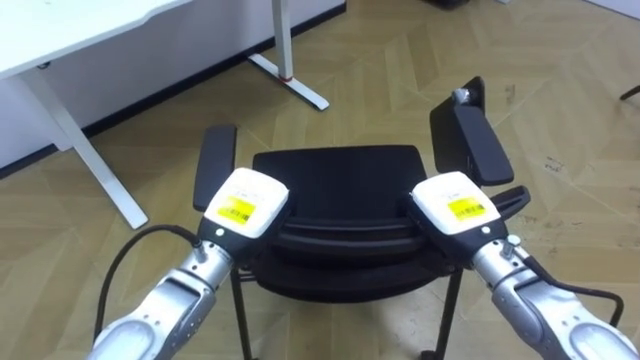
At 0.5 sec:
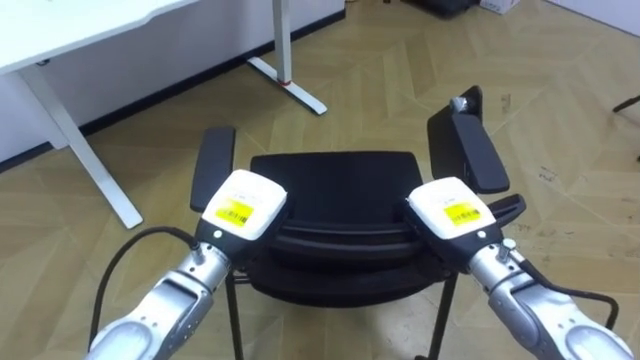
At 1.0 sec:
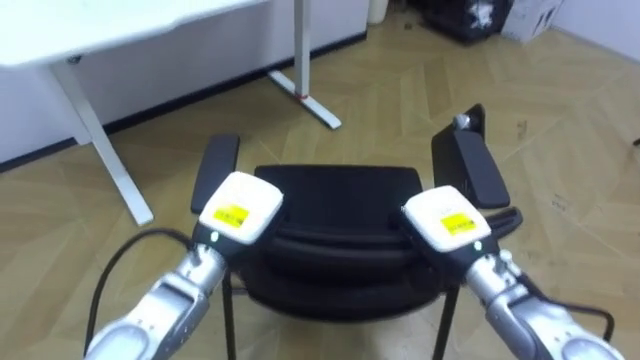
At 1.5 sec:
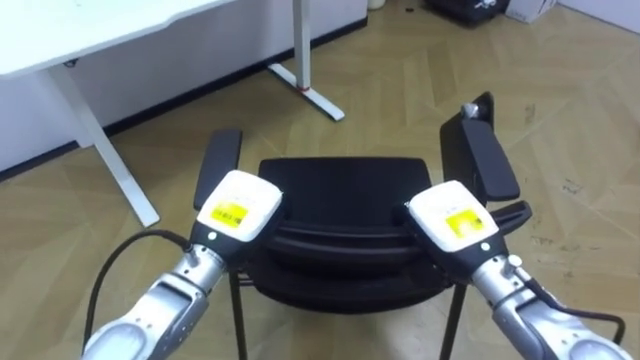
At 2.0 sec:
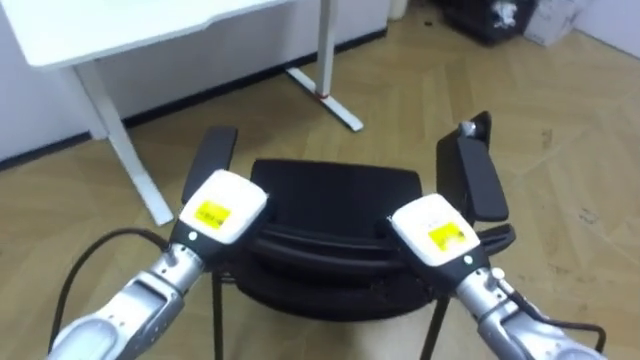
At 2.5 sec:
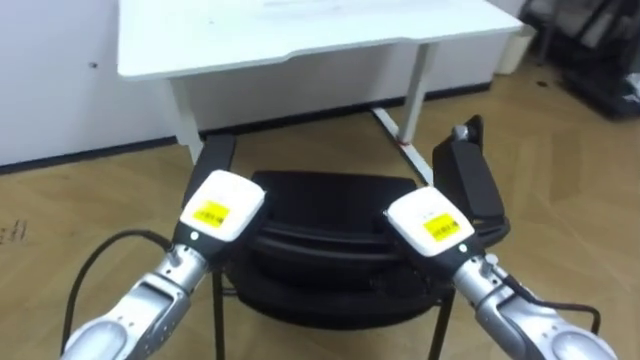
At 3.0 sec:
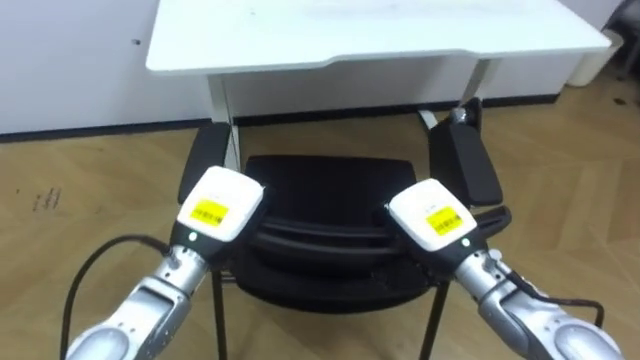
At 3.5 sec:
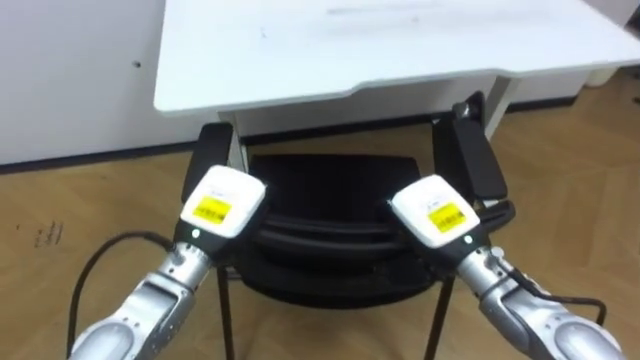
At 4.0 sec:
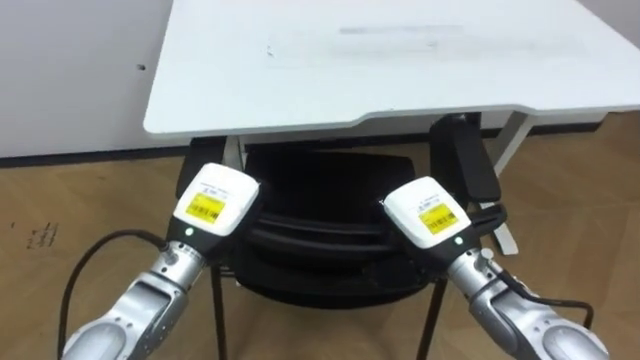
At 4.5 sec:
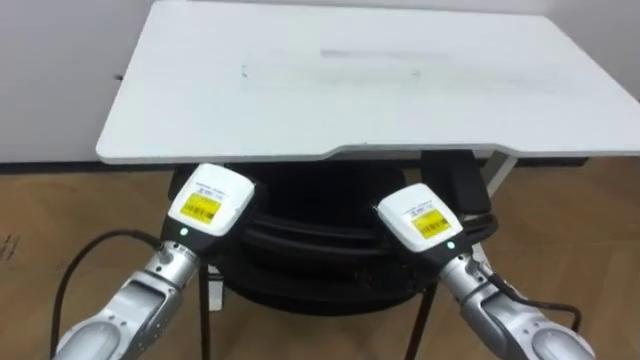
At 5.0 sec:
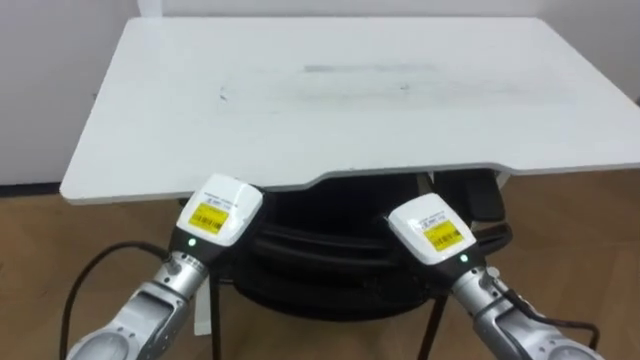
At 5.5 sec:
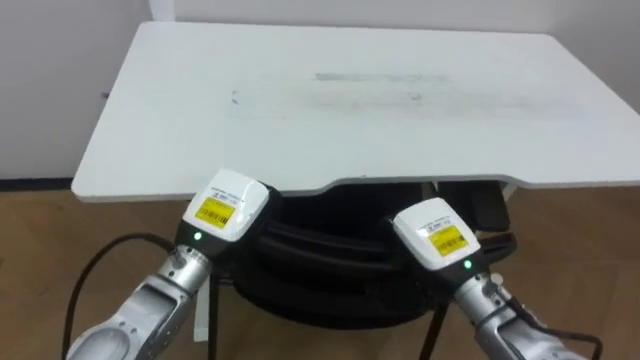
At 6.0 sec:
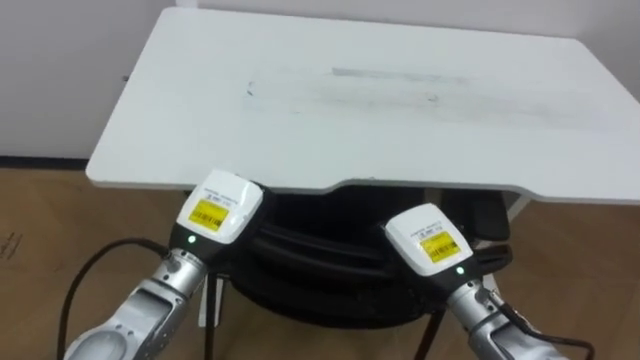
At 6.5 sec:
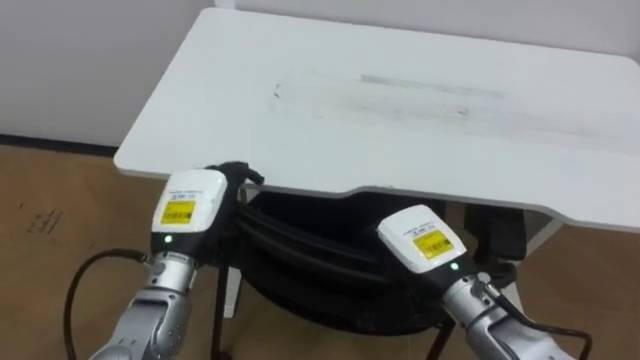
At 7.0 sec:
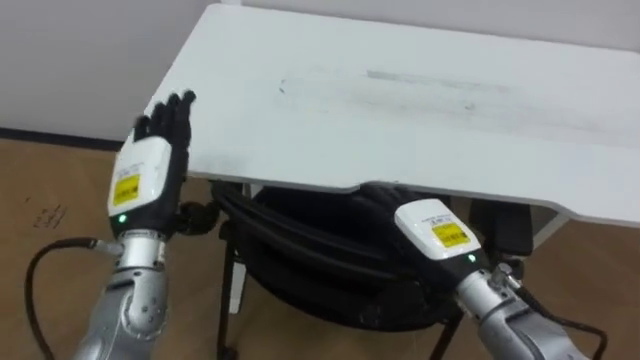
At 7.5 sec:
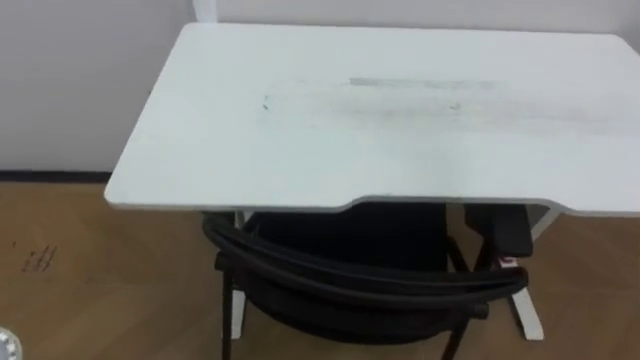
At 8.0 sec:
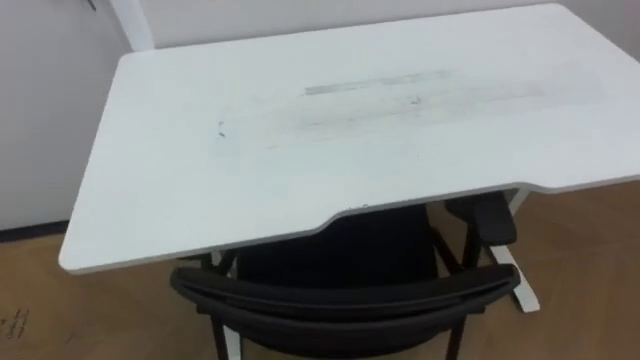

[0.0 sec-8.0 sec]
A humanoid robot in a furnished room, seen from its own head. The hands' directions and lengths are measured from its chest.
Task of the whole recording: Push the chair under the table.
2.0 sec to 4.0 sec: The robot turns to its left by roughly 20 degrees.

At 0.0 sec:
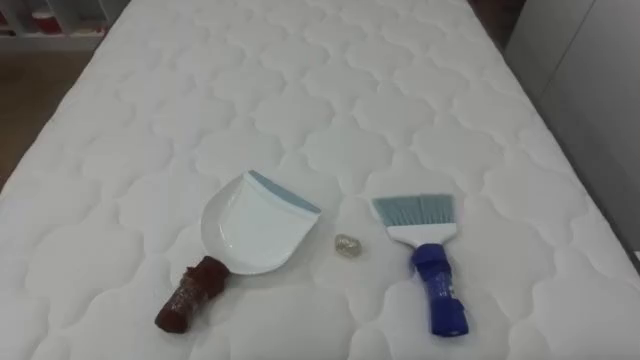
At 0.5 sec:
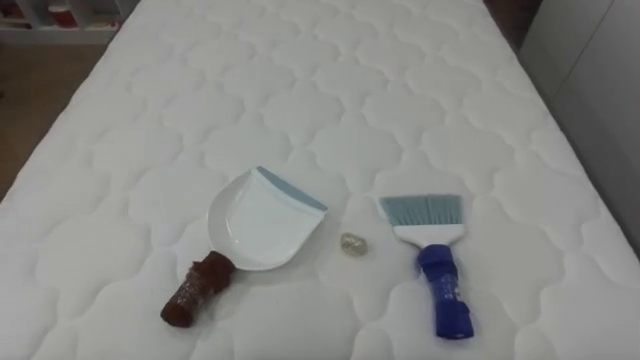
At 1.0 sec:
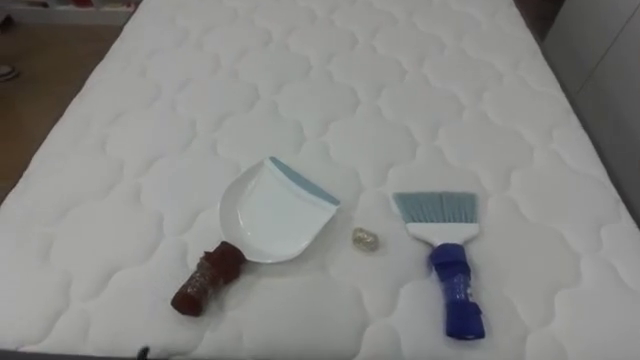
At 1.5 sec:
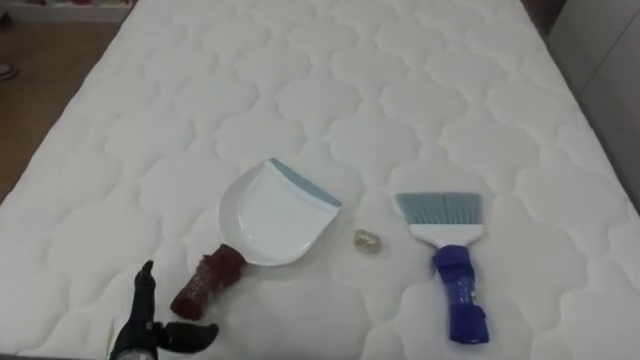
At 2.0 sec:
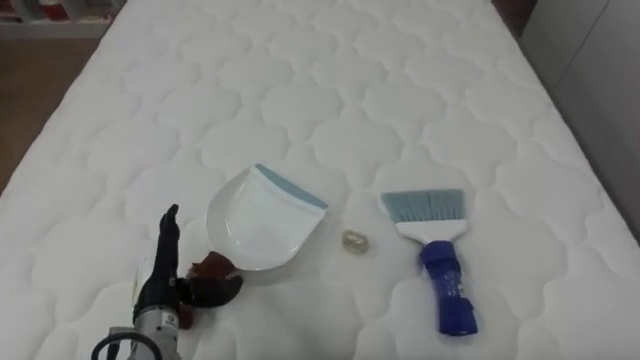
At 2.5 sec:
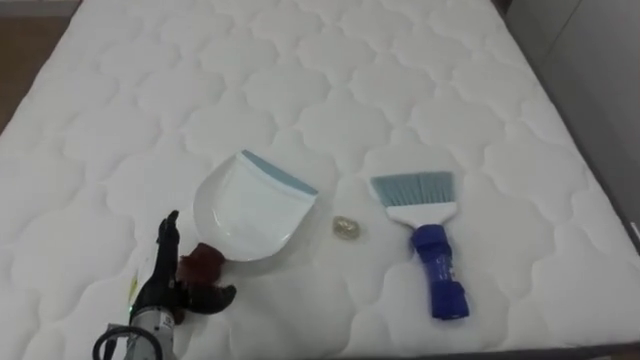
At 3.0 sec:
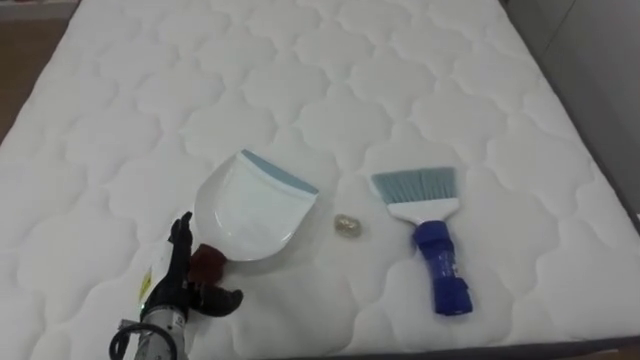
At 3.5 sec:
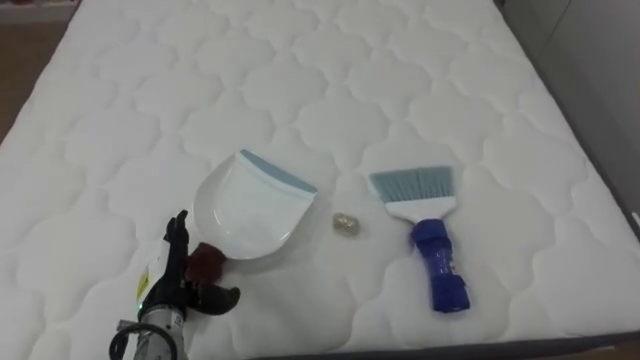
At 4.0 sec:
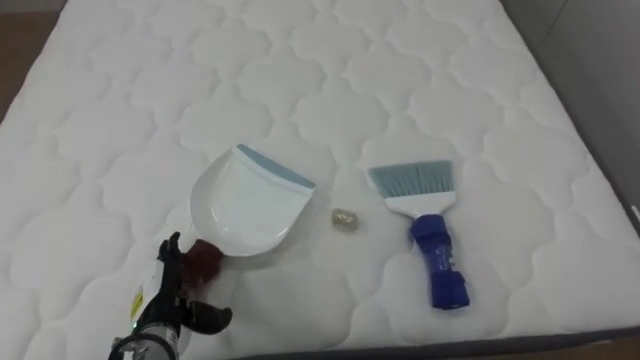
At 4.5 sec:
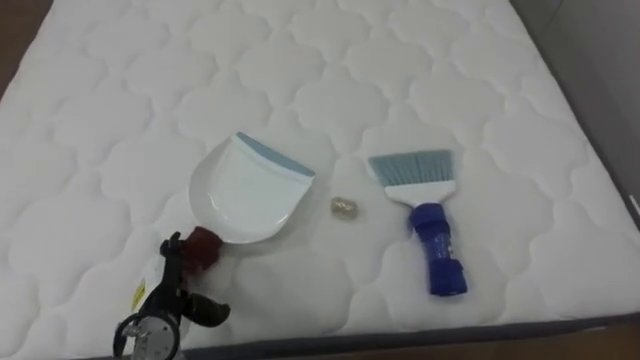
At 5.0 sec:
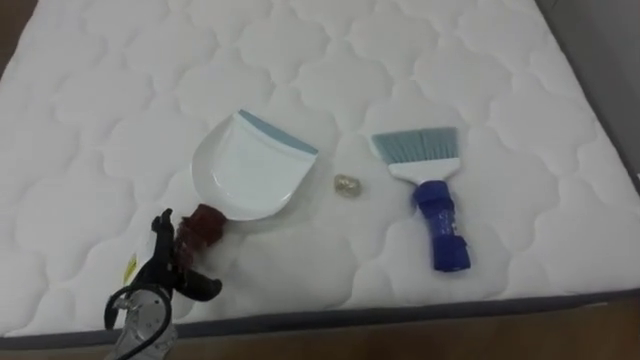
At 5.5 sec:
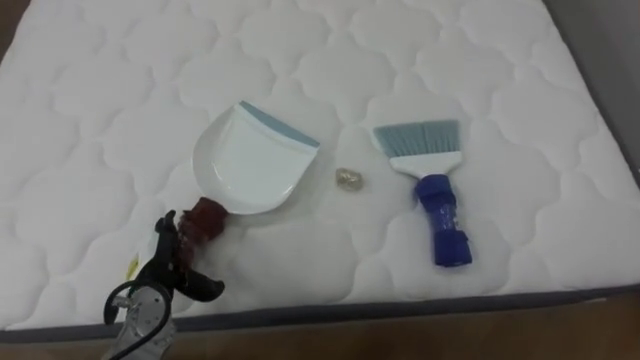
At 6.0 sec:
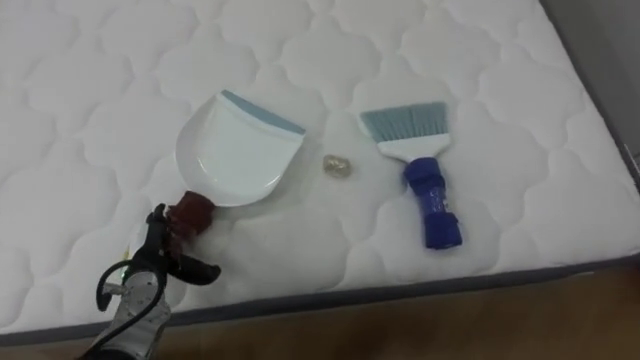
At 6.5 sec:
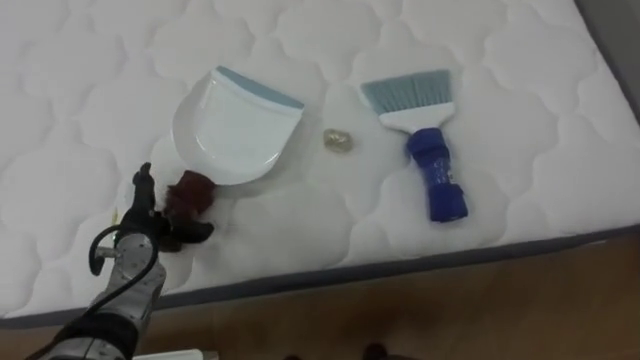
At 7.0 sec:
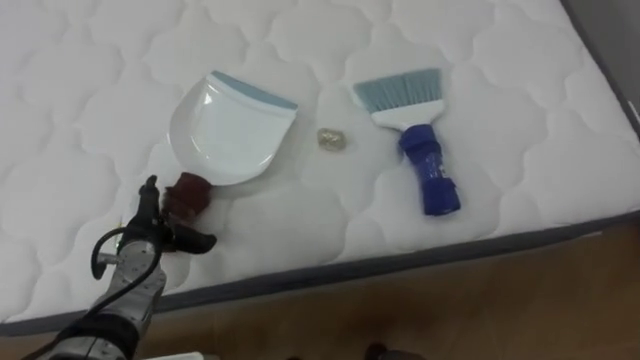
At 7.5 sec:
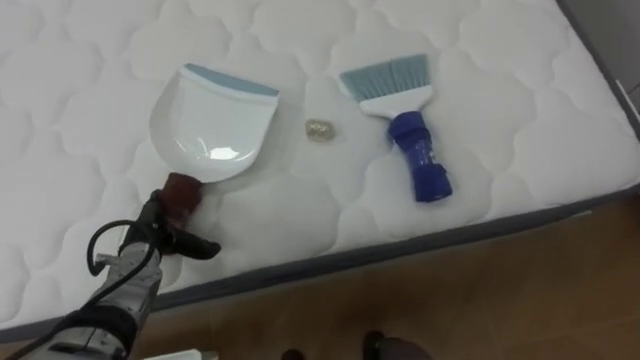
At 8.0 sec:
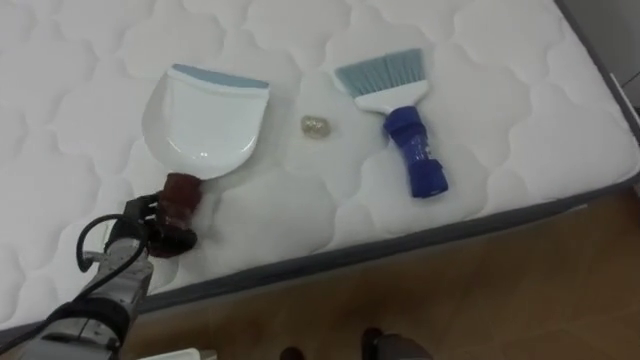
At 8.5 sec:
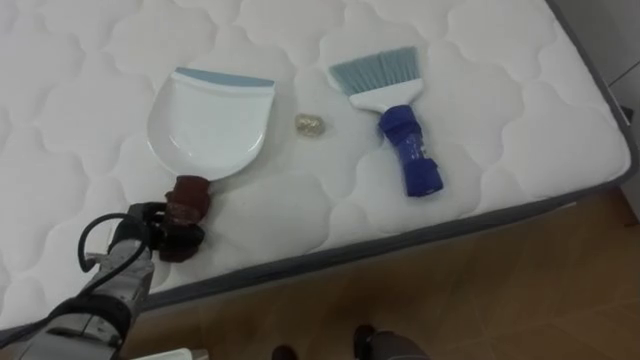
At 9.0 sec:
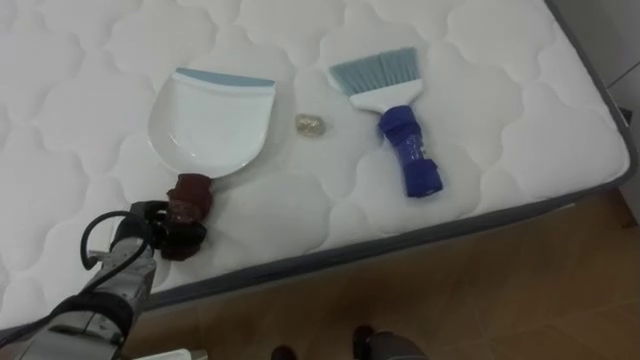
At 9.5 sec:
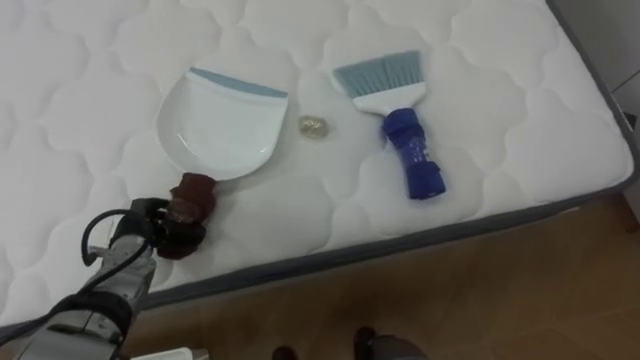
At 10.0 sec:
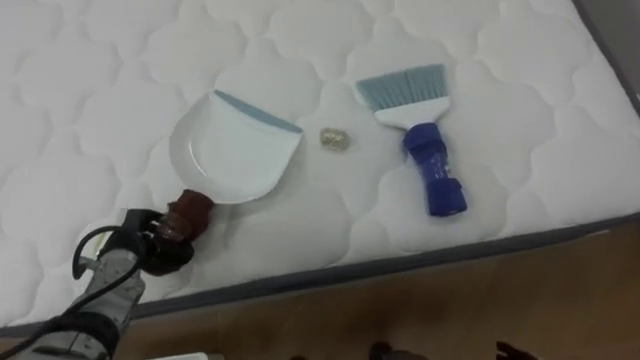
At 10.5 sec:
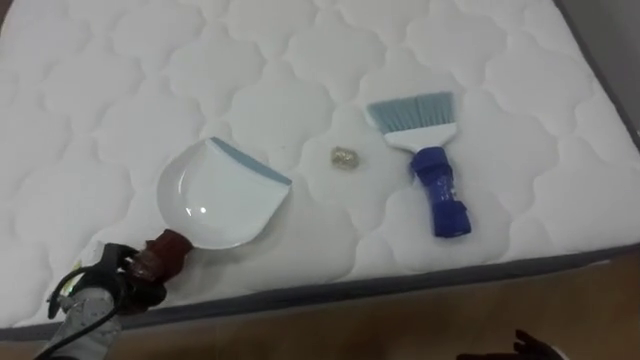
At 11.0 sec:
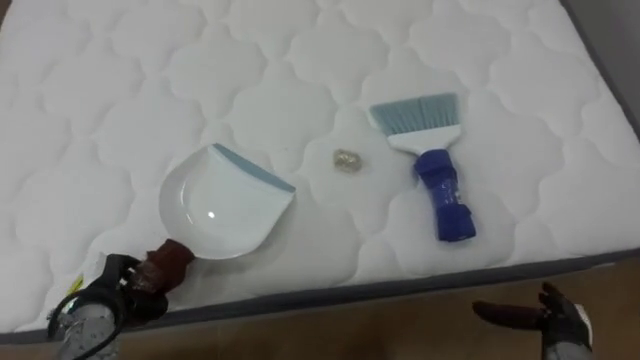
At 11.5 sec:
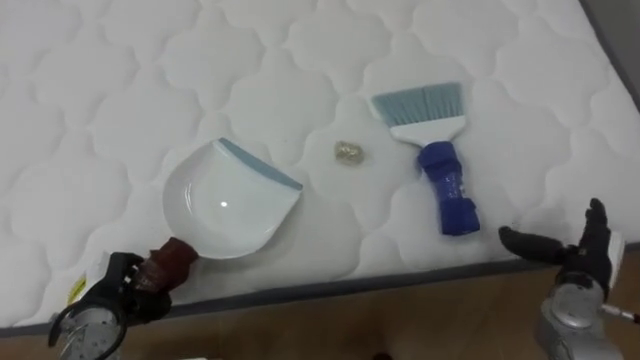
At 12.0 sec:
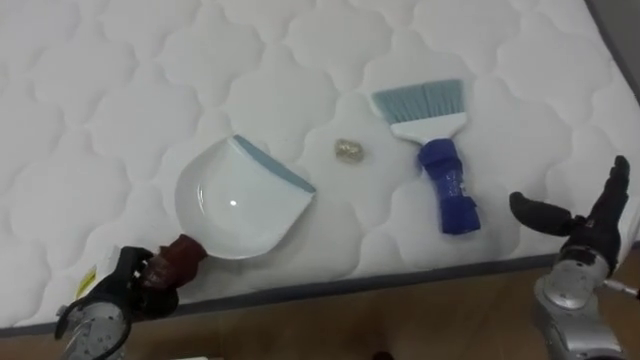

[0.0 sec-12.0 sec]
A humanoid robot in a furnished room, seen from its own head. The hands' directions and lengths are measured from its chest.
Task of the whole recording: Pick up the brush on your right and the dustpan on your left. Use the brush to sweep the crumpled paper on the bed into the dustpan, then turn left and empty it into the basket.
4.0 sec to 6.0 sec: The left hand travels forward by approximately 5 cm.
8.0 sec to 10.0 sec: The left hand closes its fingers.
10.0 sec to 12.0 sec: The left hand shifts about 5 cm backward.
